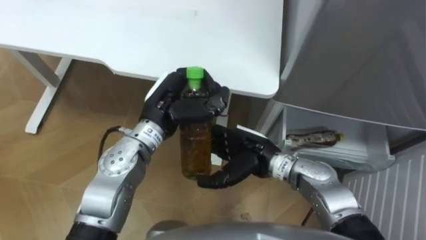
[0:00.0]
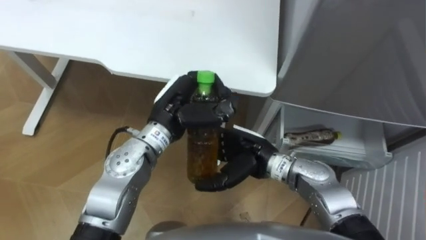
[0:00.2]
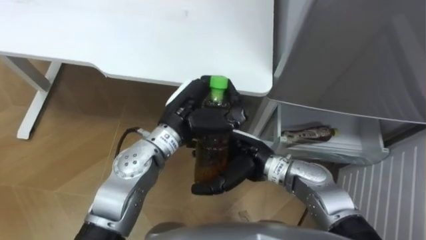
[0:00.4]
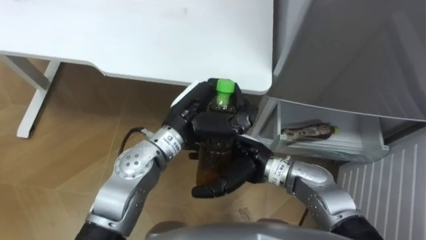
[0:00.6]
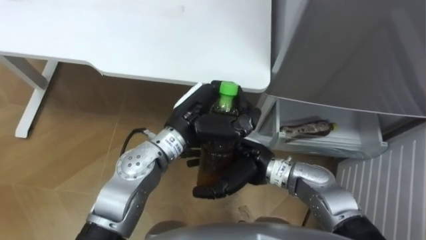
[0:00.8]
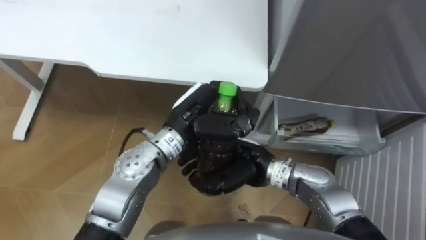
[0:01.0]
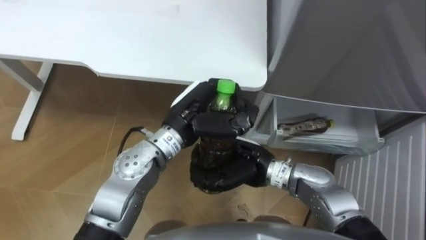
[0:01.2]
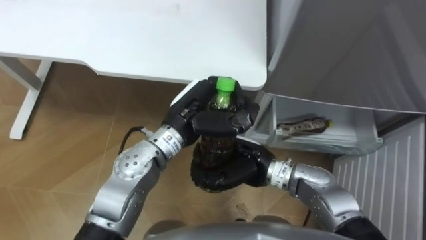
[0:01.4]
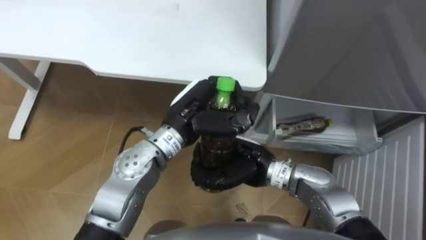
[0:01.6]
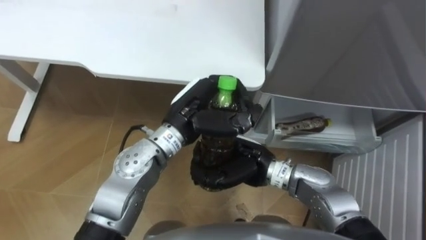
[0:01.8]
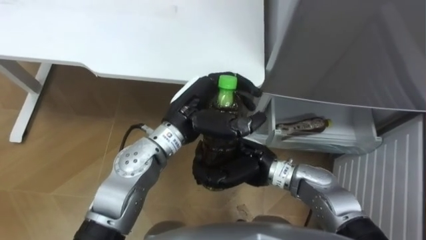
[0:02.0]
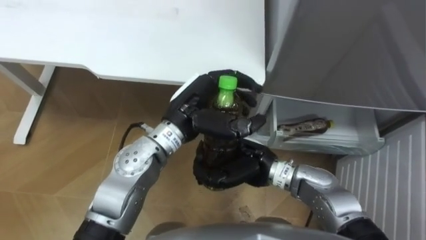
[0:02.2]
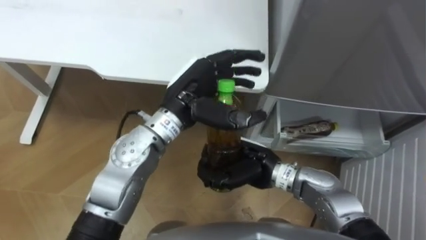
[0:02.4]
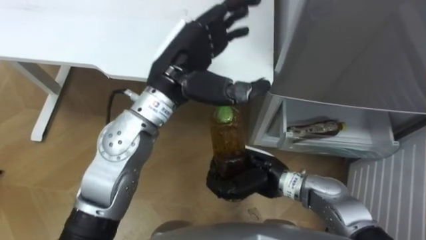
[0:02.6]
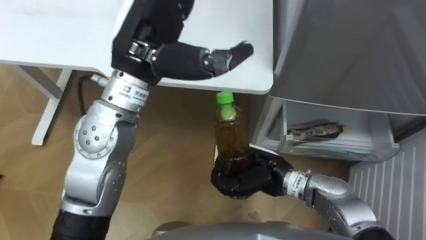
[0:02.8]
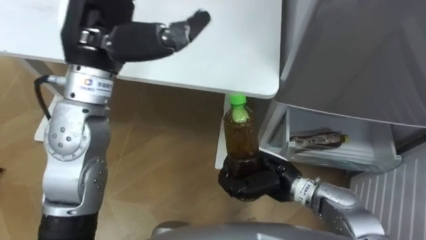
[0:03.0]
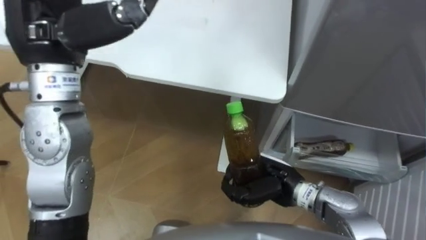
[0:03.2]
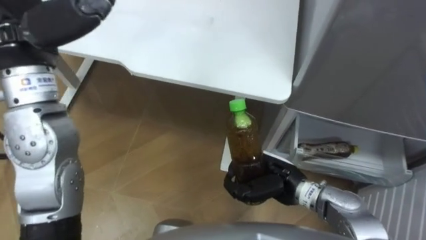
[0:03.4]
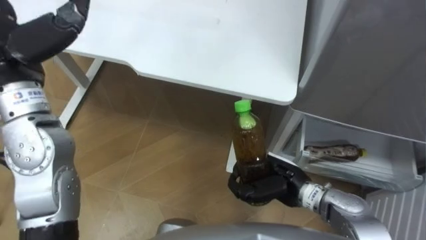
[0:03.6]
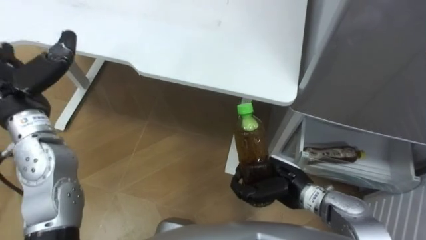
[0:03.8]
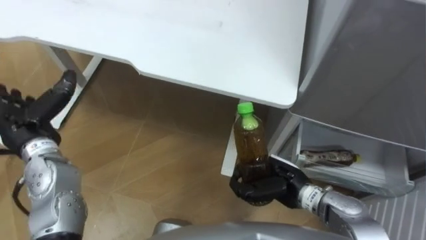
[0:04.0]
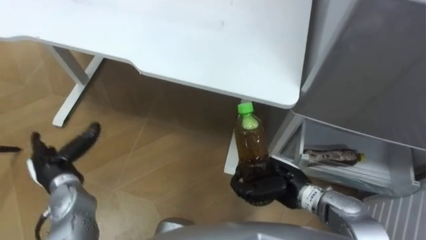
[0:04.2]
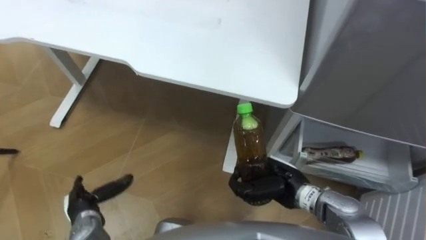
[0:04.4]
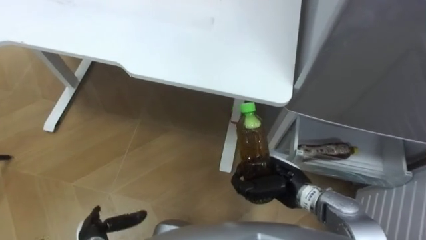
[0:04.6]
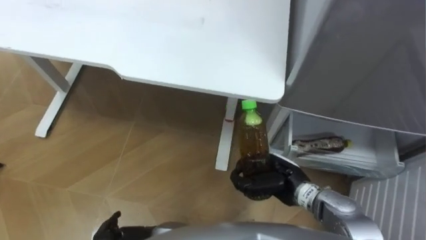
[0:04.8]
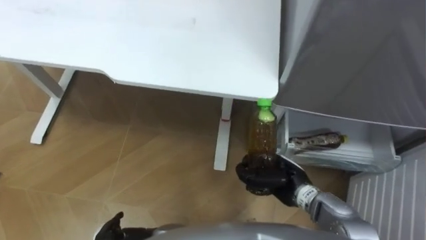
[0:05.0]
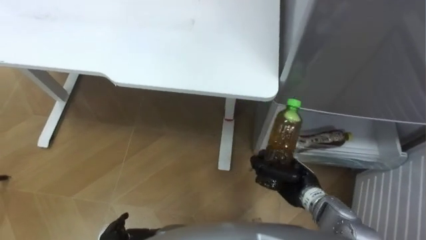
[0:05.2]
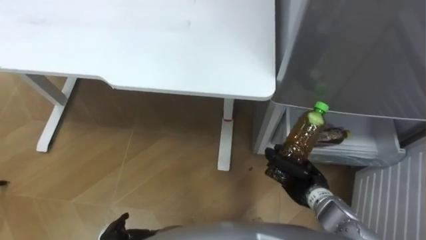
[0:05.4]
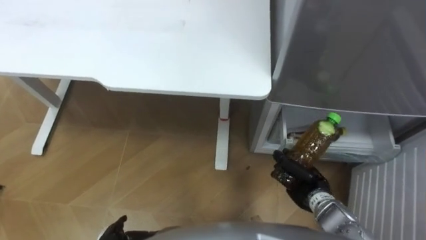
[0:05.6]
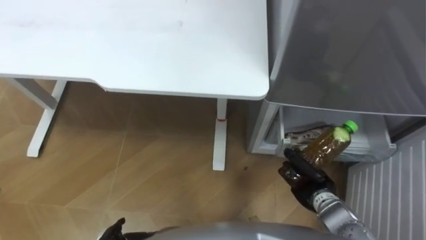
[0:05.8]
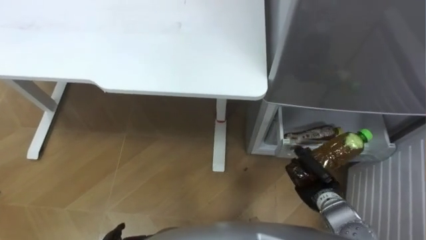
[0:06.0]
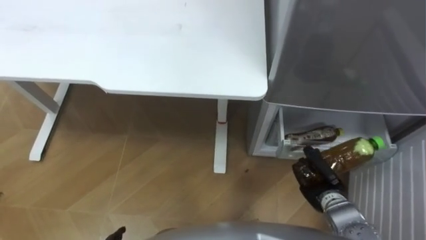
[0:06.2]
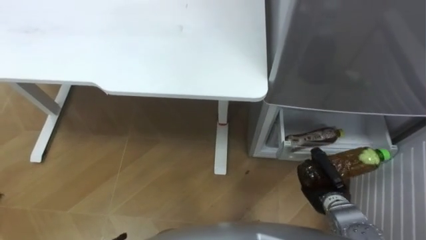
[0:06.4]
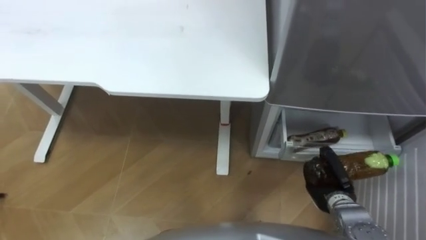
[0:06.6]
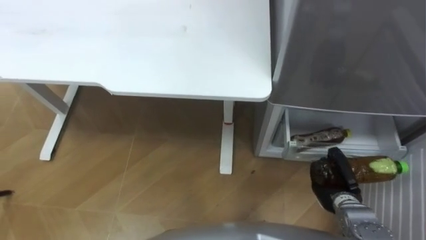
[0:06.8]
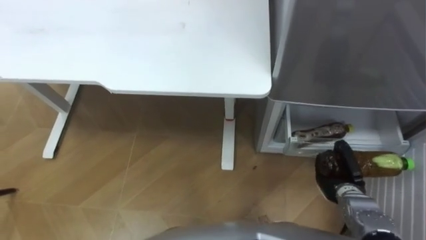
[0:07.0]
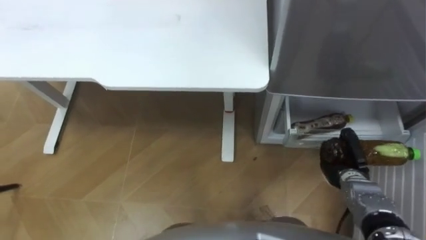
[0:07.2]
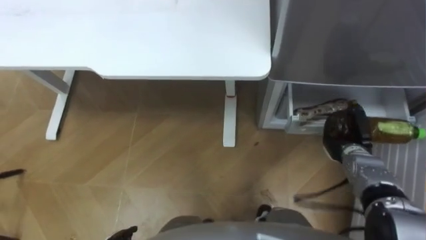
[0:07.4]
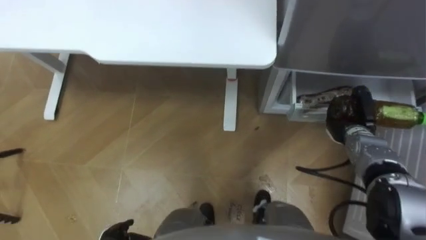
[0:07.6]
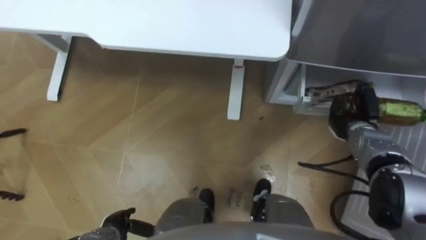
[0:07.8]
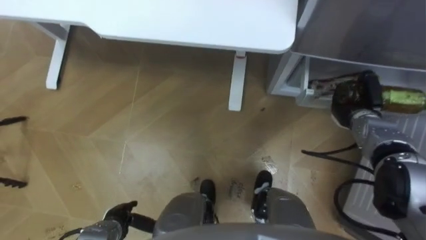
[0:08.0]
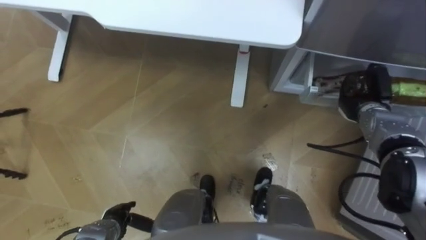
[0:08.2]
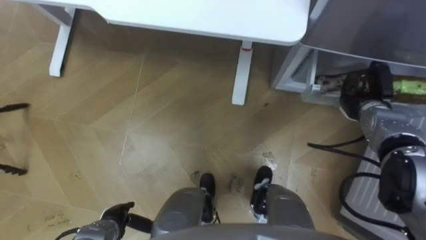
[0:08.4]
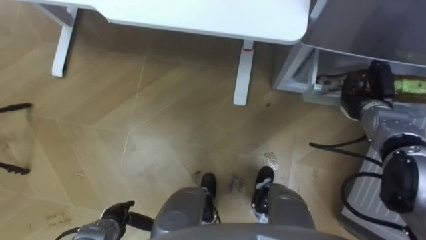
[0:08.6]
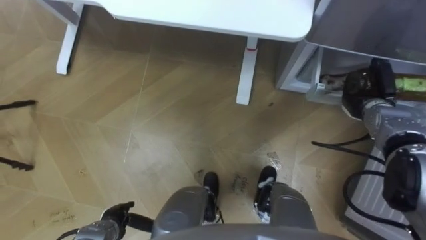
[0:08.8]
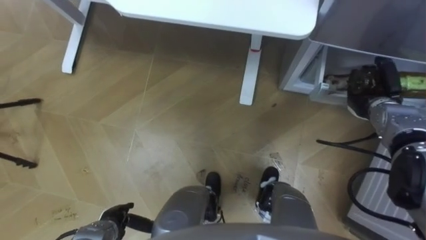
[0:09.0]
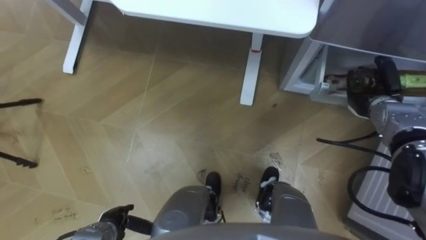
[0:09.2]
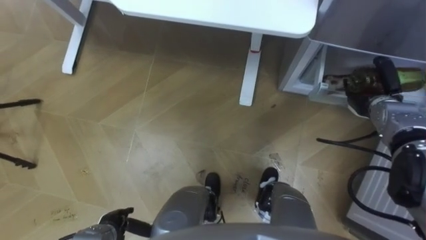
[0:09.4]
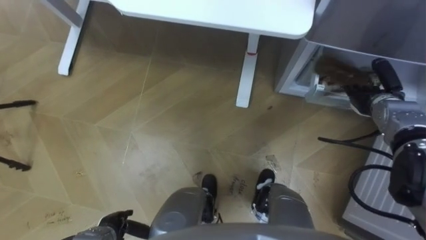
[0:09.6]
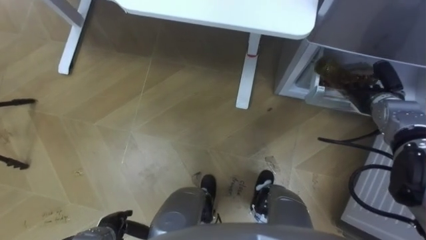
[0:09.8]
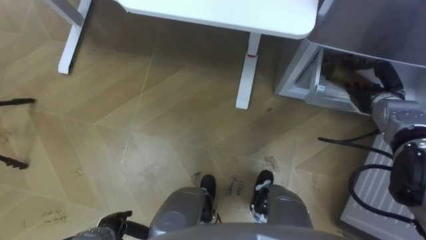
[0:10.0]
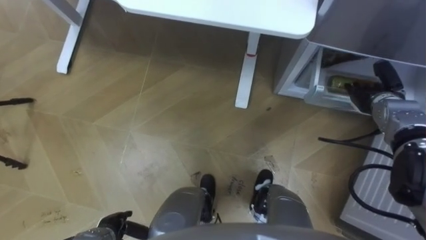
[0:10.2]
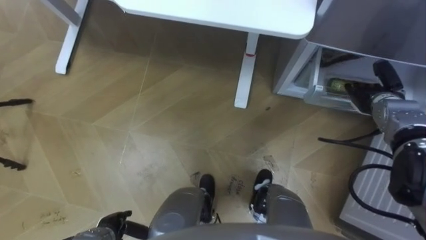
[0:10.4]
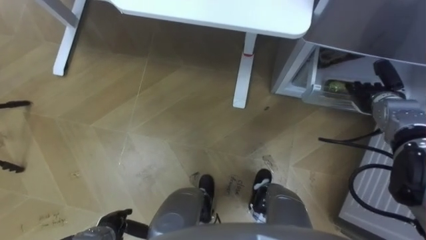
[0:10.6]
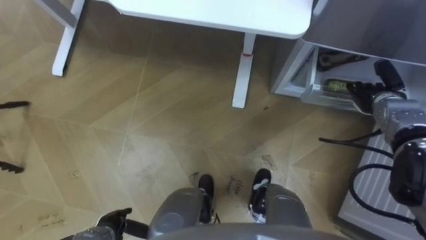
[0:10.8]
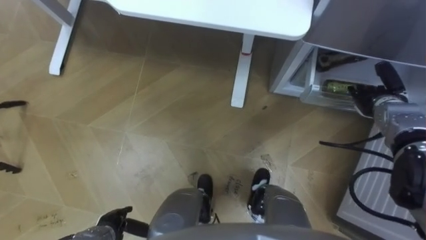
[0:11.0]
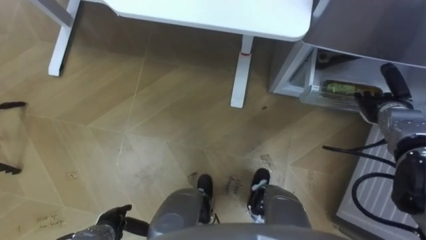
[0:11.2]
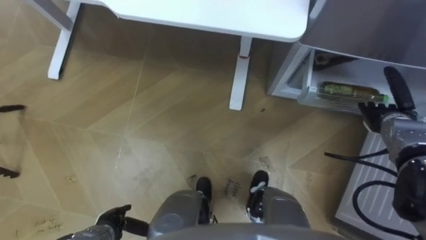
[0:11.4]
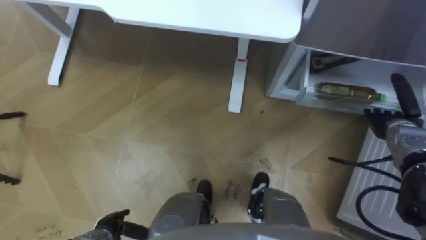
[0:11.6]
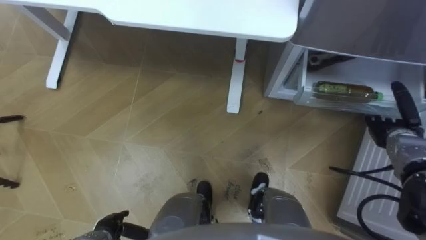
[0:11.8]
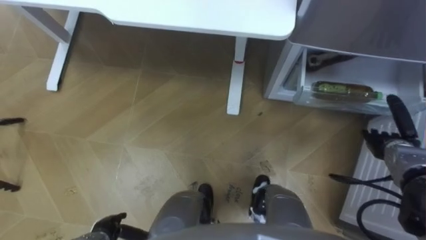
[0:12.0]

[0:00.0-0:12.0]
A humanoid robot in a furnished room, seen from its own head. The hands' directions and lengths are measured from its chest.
Task of the whole recording: Place the drink on the table on the bottom shelf of the refrigerator, then close the drawer and the refrigerator door.
0:00.0 to 0:01.6: The left hand is displaced to the right by approximately 5 cm, while the right hand closes its fingers.
0:01.6 to 0:03.0: The right hand goes about 5 cm to the right. The left hand is displaced upward and to the left by about 20 cm, and opens its fingers.
0:04.4 to 0:06.0: The right hand moves to the right and downward, about 10 cm.
0:06.0 to 0:07.6: The right hand shifts about 15 cm forward and to the right.
0:07.6 to 0:09.0: The right hand changes place by some 10 cm.
0:09.0 to 0:10.4: The right hand opens up.
0:10.4 to 0:12.0: The right hand travels backward and downward by approximately 10 cm.

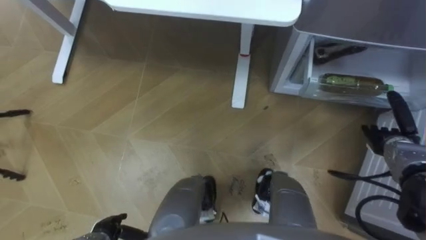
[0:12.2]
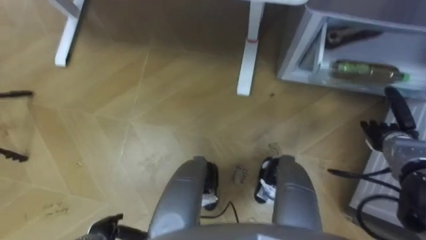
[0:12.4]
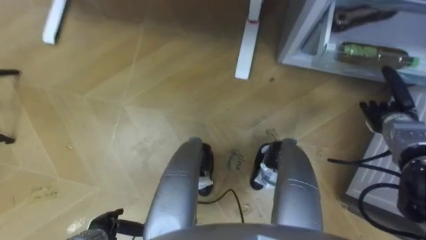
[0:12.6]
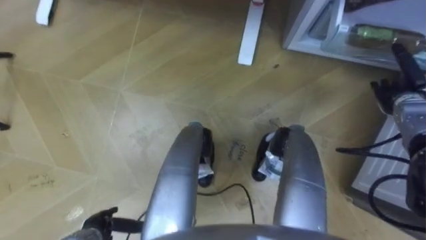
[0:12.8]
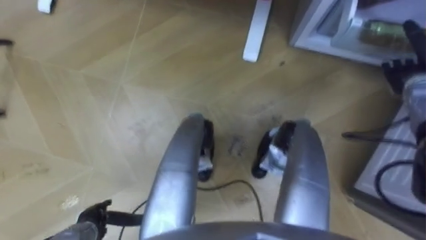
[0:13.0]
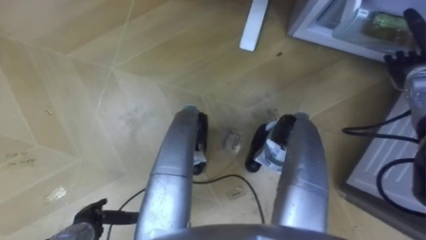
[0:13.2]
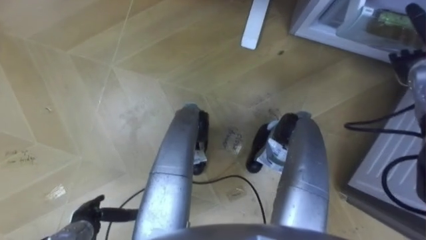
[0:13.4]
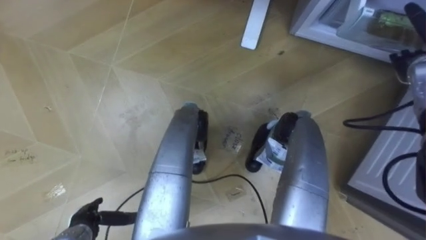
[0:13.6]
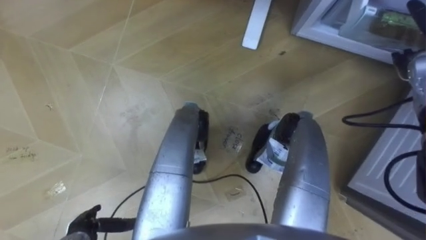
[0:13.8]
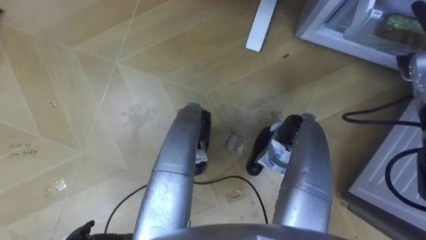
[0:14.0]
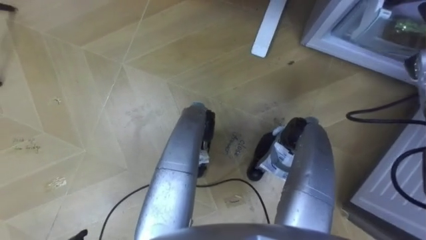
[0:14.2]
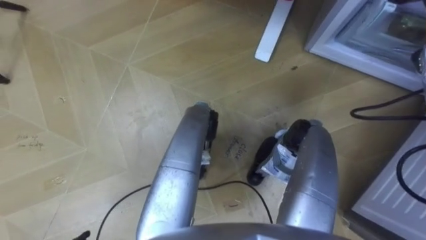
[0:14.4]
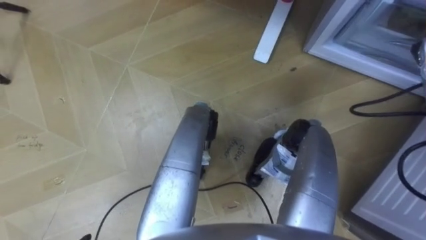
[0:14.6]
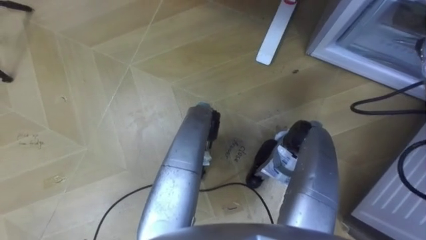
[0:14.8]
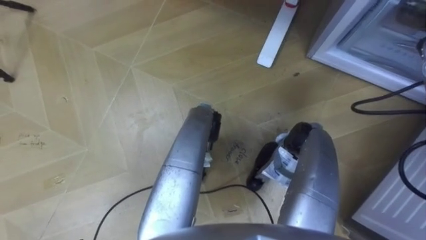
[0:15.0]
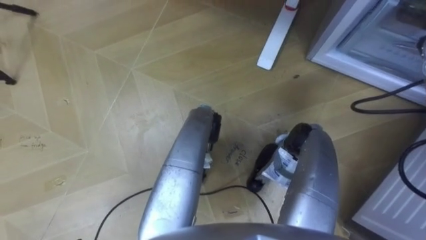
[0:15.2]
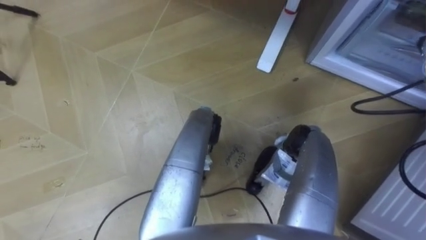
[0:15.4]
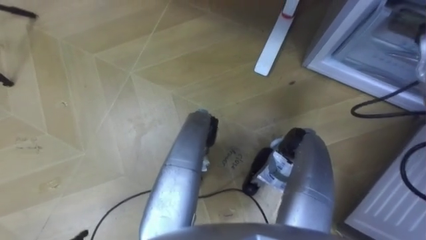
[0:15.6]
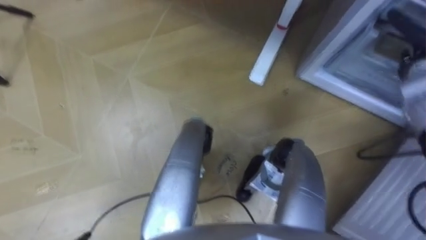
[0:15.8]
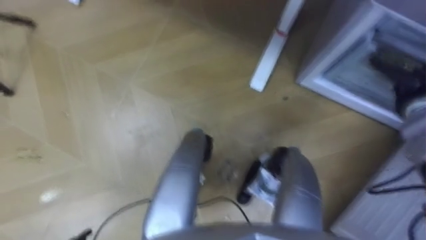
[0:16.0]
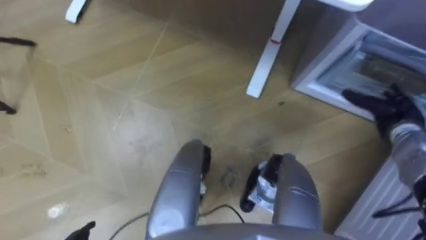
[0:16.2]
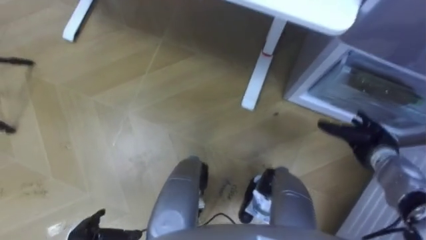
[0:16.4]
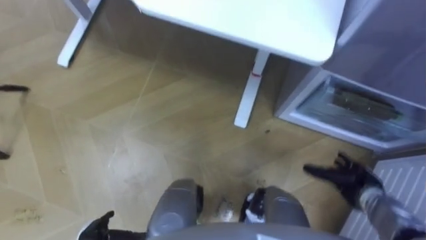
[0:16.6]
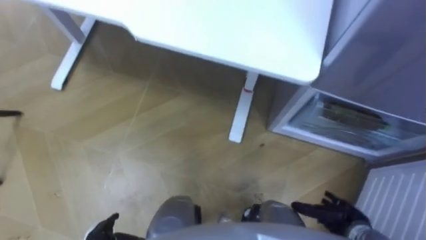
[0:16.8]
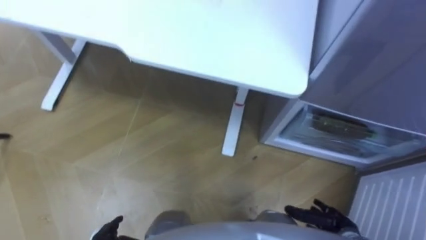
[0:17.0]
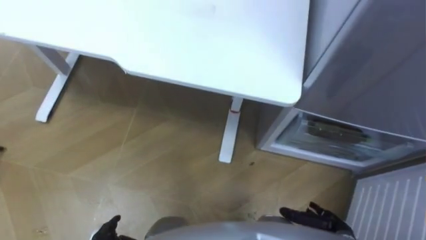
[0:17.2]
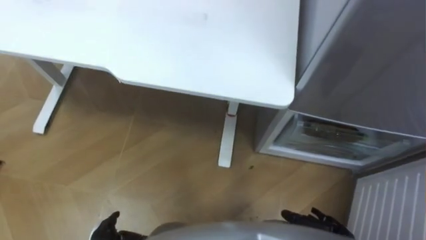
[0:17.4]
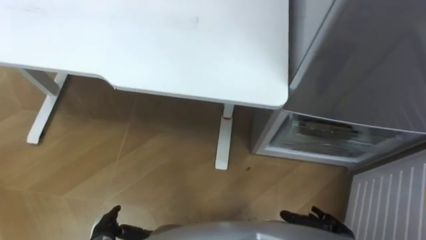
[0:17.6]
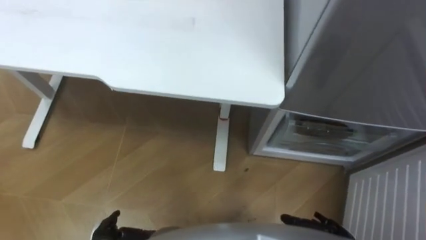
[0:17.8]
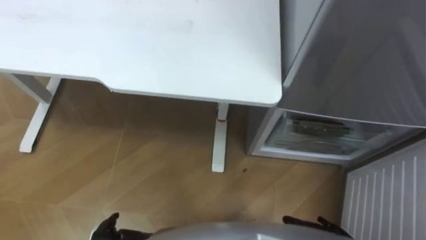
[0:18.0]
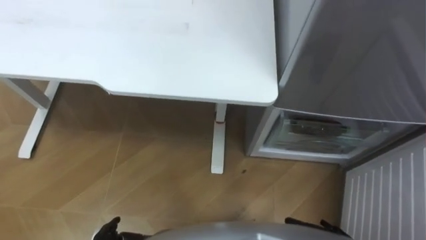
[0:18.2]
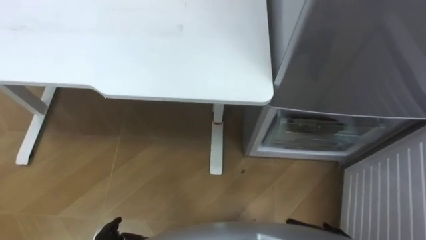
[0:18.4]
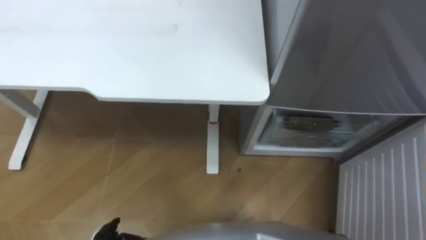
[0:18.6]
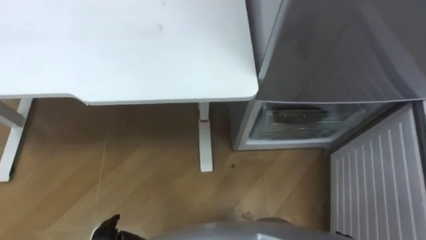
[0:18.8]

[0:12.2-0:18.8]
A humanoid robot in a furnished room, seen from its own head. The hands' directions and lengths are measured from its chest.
Task of the whole recording: Place the drink on the table on the bottom shelf of the refrigerator, then close the drawer and the refrigerator door.
0:12.2 to 0:13.8: The right hand is displaced upward and forward by roughly 20 cm.
